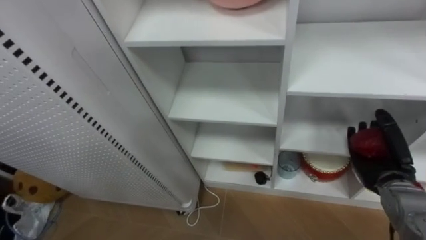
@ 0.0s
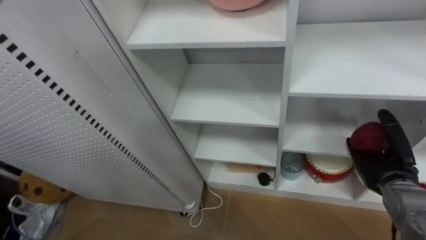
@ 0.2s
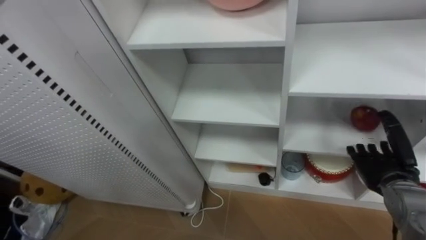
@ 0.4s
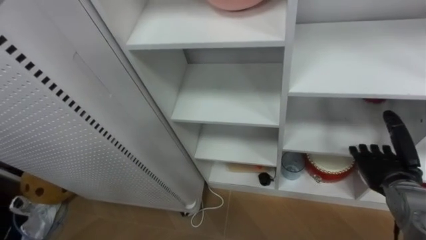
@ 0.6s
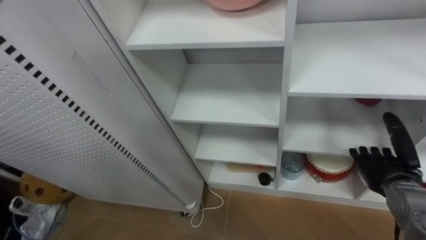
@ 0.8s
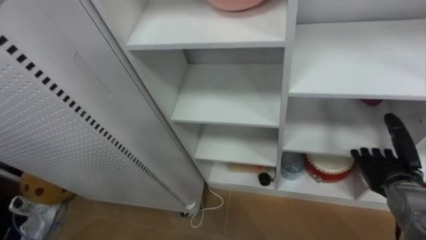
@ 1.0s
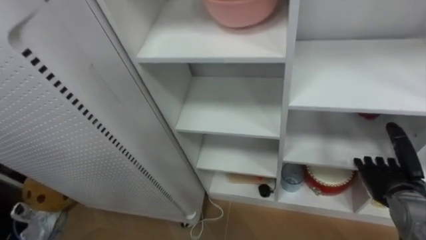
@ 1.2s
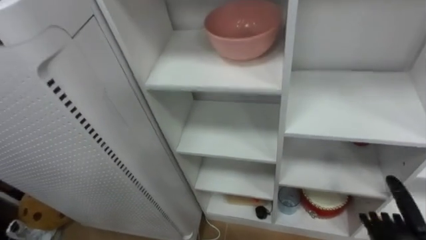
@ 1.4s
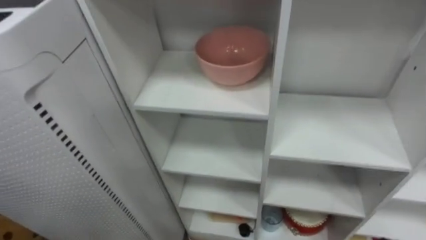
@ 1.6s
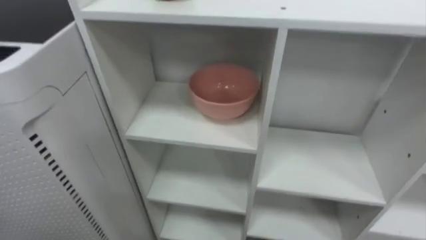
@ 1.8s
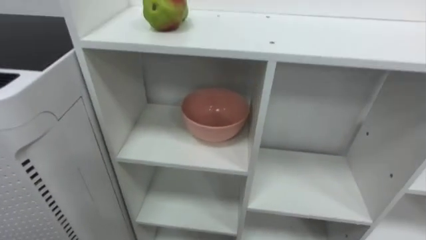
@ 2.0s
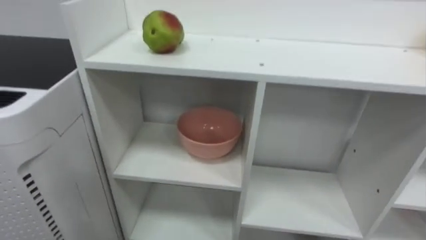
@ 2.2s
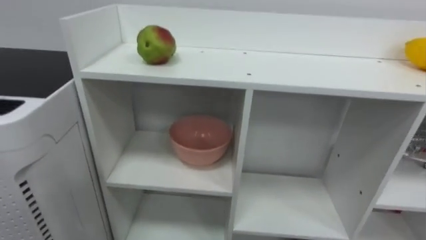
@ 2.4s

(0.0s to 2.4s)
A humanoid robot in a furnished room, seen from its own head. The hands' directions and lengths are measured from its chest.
Task of the whole recording: Put the apple in the cell in the second column from the left and the second row from the top.
0.0s - 1.2s: The right hand opens its fingers.

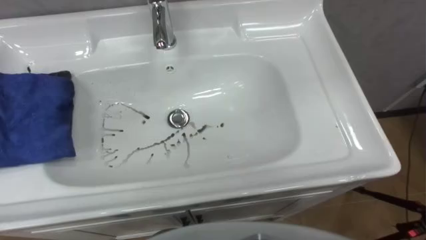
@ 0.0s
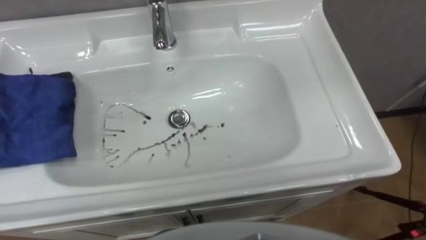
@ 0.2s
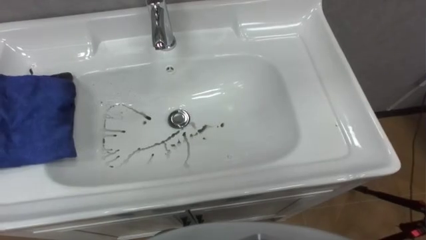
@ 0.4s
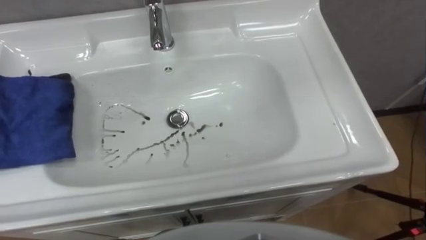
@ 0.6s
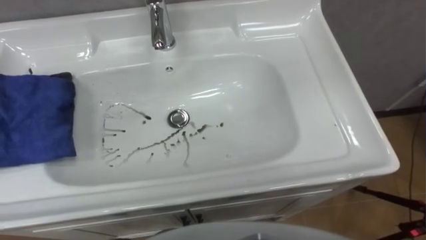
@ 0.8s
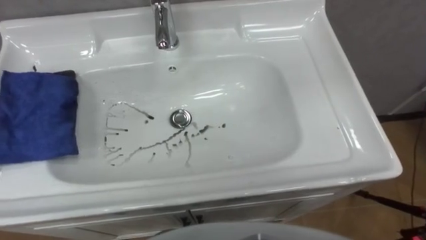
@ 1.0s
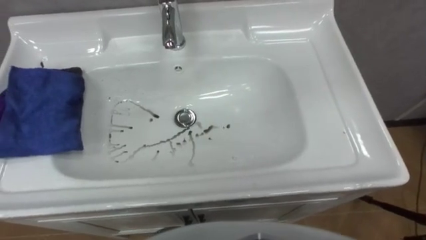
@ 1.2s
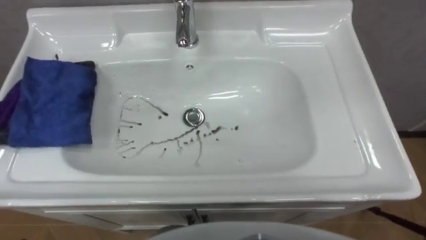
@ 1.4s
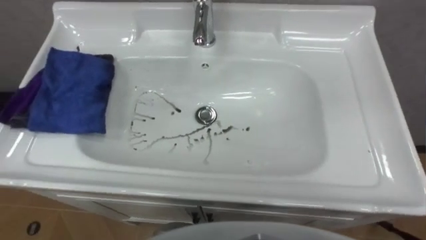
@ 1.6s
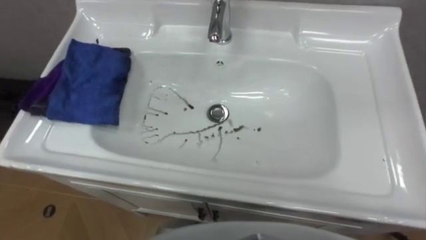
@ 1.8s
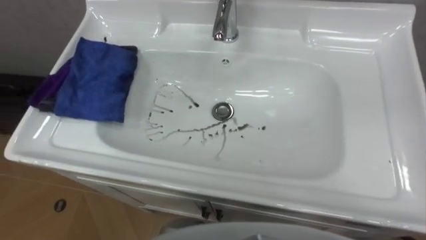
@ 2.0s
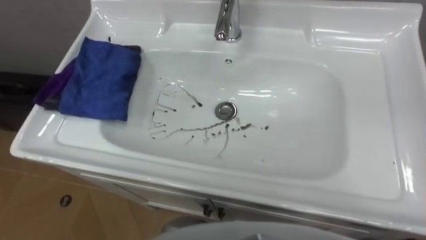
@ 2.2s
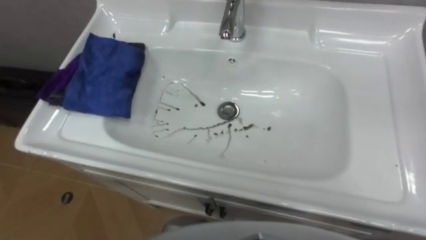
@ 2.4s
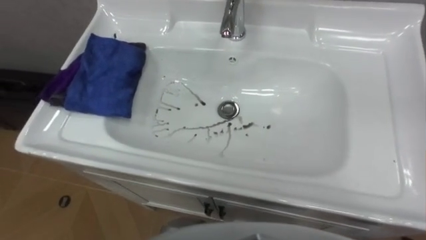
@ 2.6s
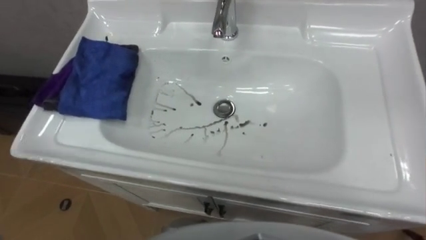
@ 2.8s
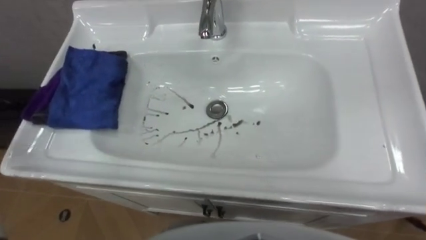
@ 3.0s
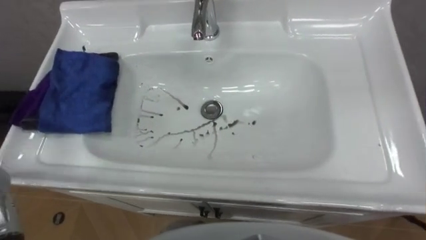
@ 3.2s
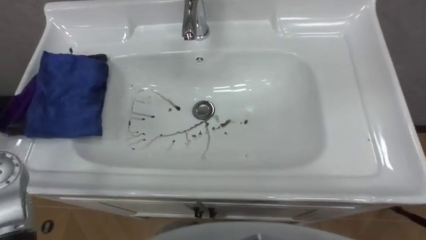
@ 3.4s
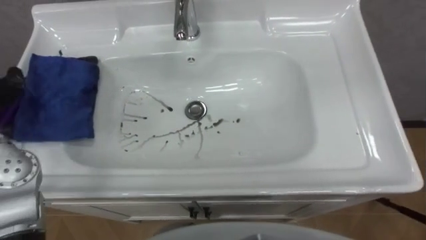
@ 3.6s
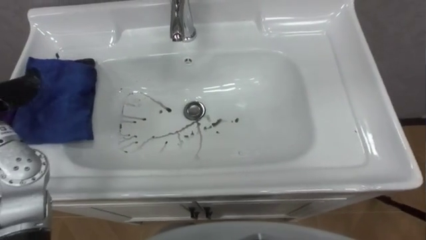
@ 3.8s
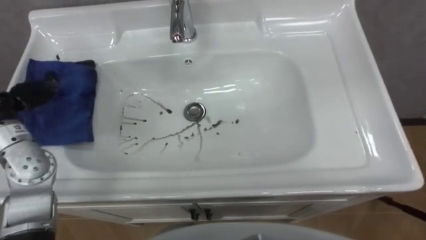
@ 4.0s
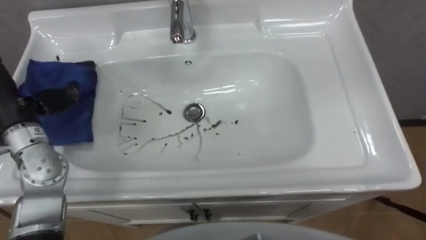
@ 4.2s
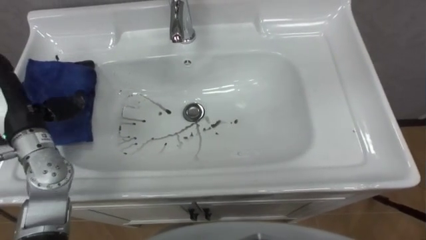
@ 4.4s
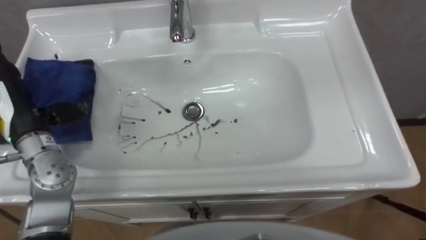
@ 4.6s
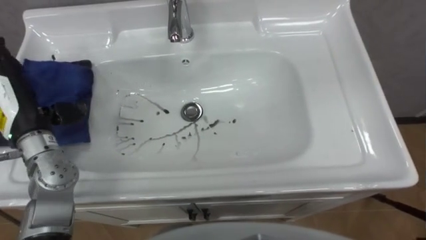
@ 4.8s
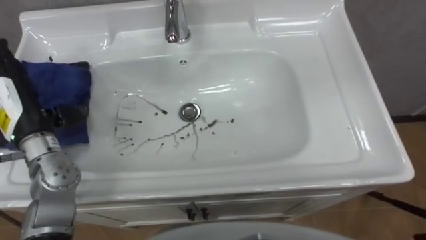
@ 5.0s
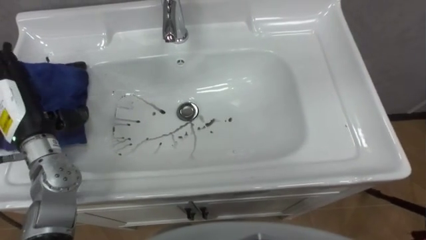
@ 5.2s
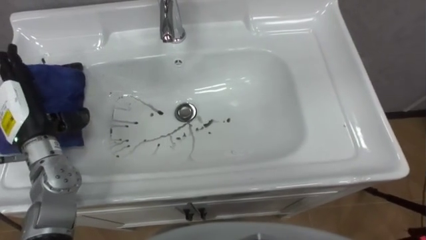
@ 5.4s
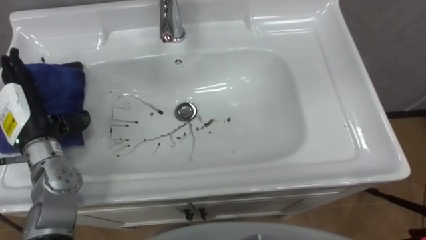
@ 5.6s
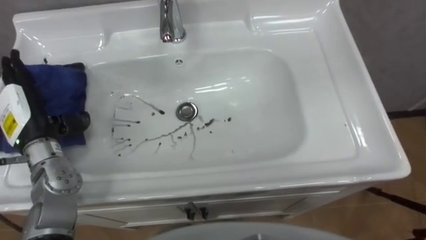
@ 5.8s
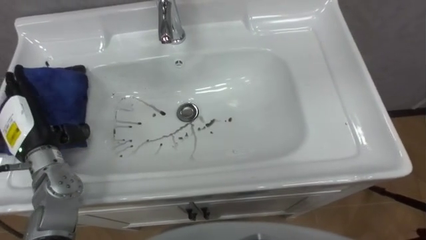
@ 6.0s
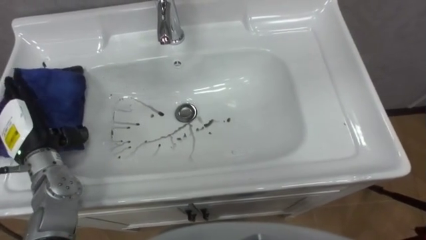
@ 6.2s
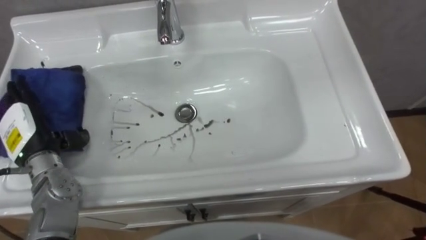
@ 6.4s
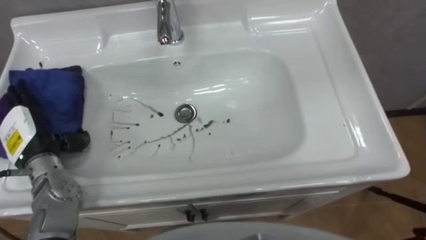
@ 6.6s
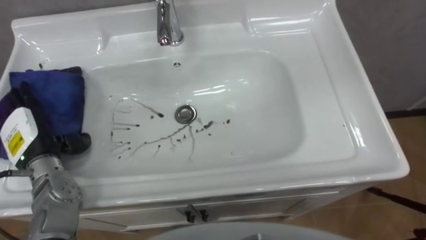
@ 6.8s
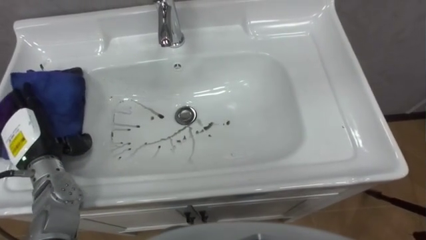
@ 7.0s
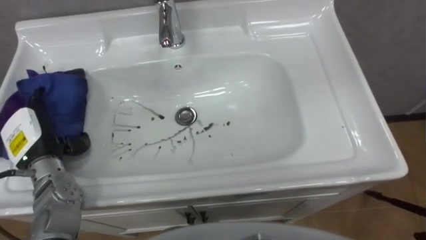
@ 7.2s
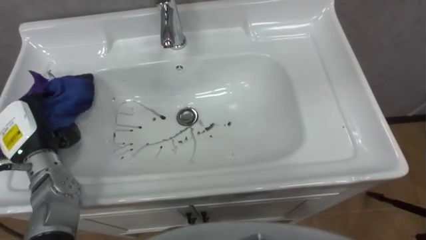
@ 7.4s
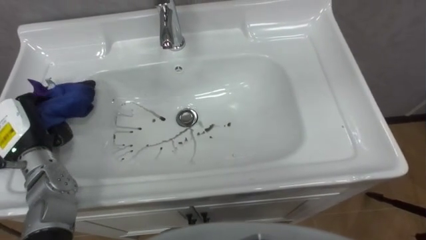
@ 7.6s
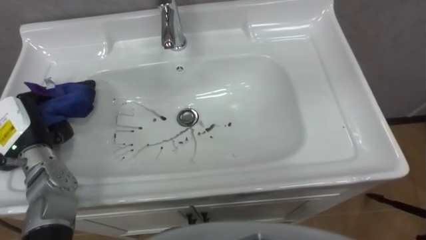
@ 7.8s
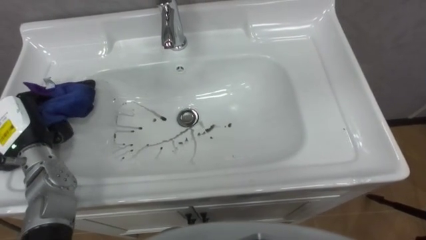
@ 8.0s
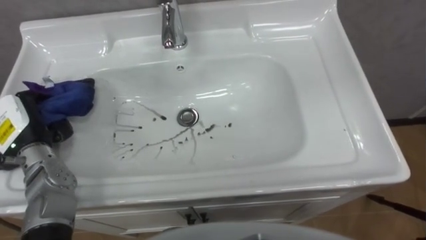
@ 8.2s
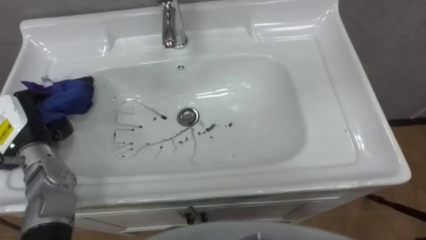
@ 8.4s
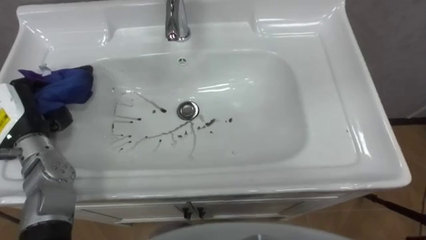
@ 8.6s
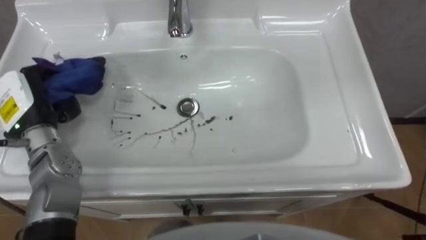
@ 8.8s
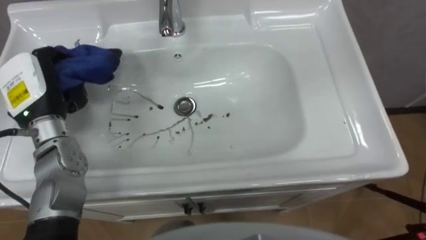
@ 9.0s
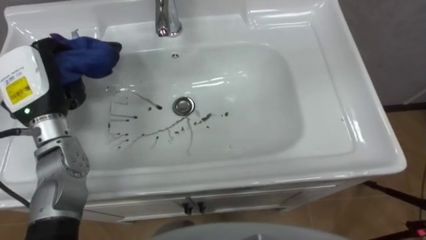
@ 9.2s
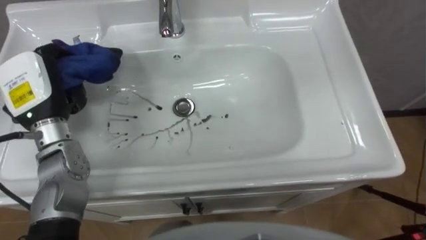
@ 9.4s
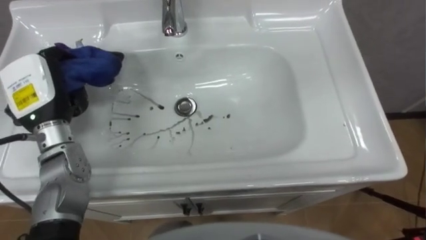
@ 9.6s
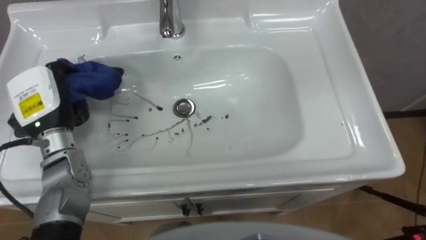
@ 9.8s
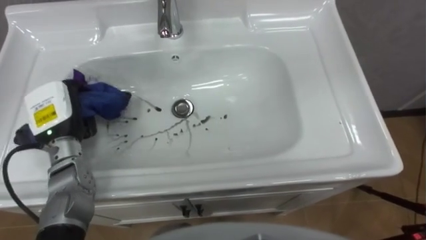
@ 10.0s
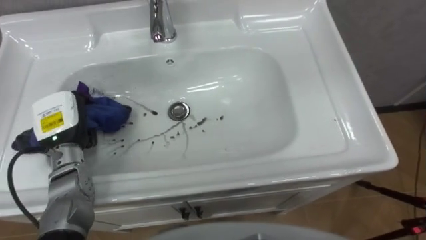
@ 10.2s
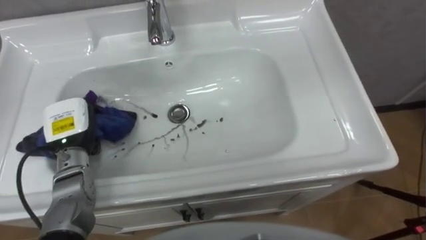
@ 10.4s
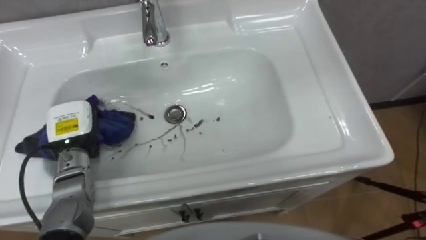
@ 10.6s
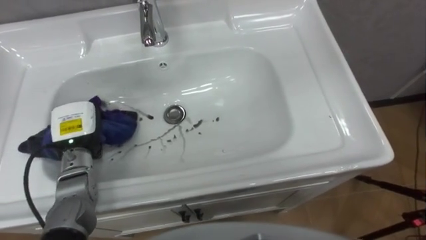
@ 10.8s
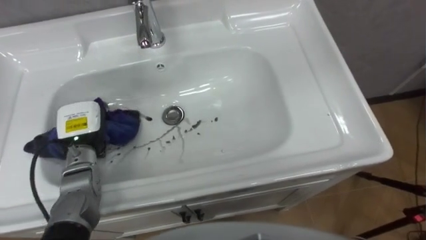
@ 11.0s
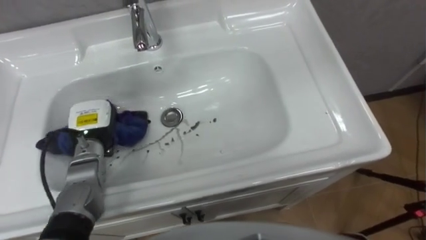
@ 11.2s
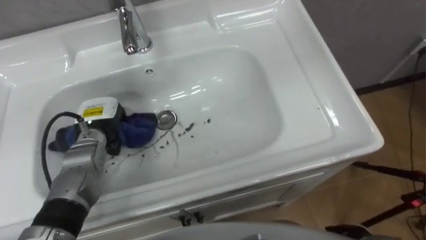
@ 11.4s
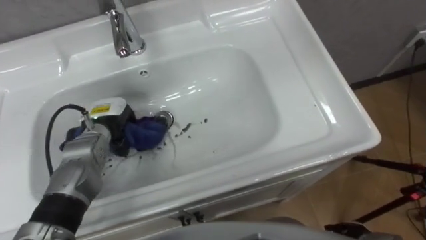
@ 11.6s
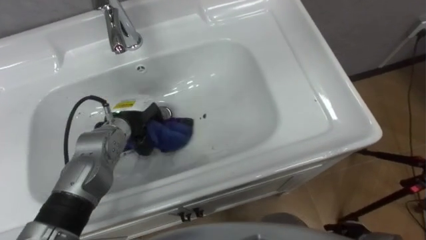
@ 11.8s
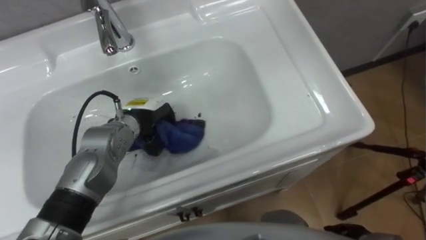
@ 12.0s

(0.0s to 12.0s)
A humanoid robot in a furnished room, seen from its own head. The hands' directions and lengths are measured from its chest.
Task of the whole recording: Use the cloth on the right to wipe away the black stain in the sink.
6.0s - 7.6s: The left hand closes its fingers.
7.6s - 9.0s: The left hand goes some 5 cm upward.
9.0s - 10.4s: The left hand heads downward, covering approximately 10 cm.
10.4s - 12.0s: The left hand moves to the right, some 15 cm.

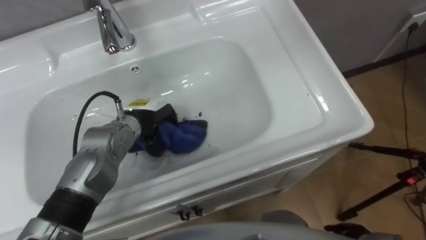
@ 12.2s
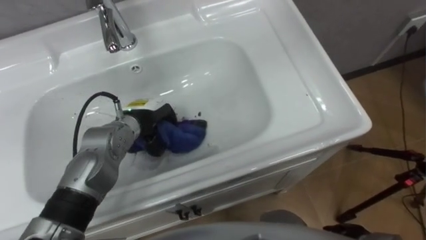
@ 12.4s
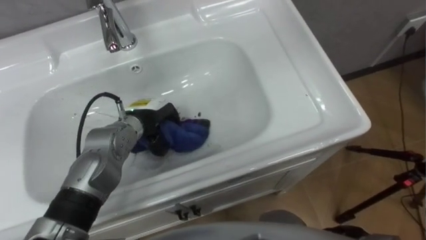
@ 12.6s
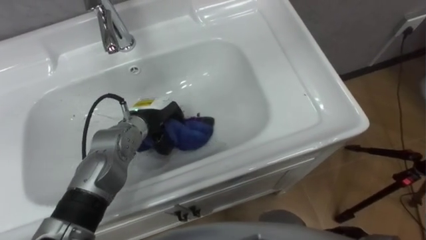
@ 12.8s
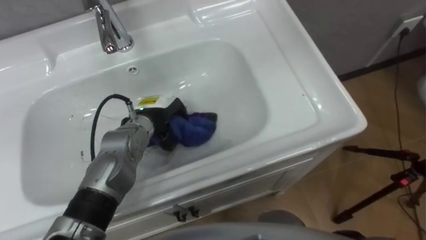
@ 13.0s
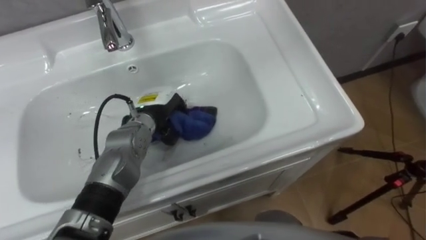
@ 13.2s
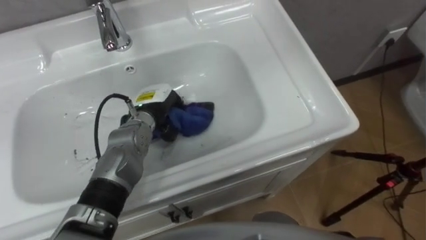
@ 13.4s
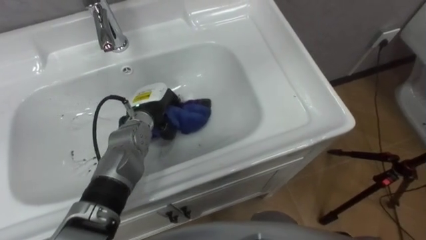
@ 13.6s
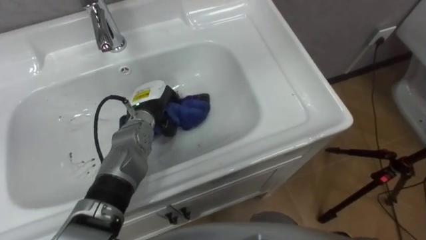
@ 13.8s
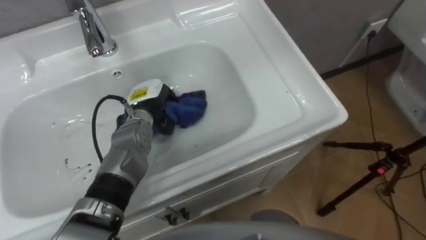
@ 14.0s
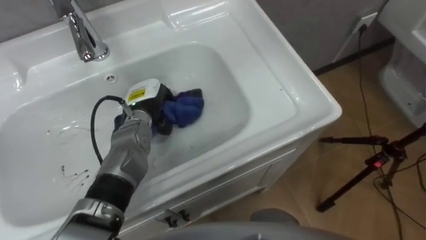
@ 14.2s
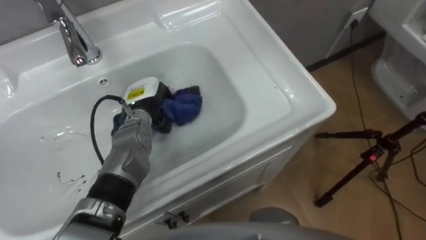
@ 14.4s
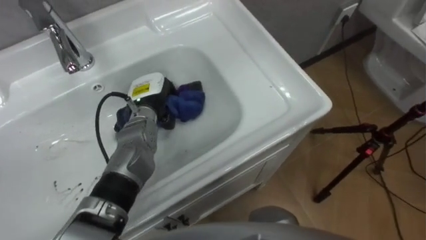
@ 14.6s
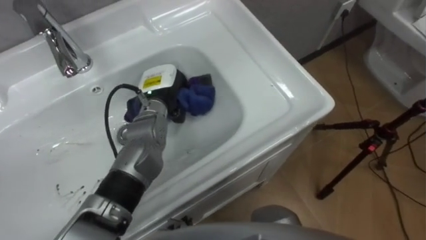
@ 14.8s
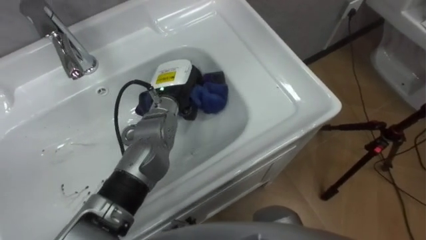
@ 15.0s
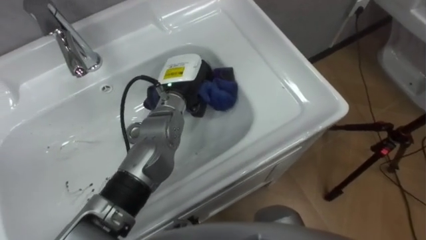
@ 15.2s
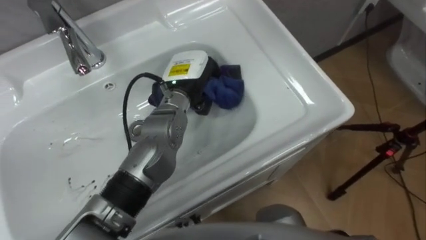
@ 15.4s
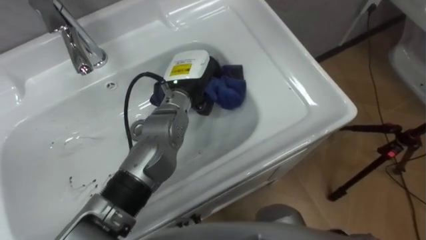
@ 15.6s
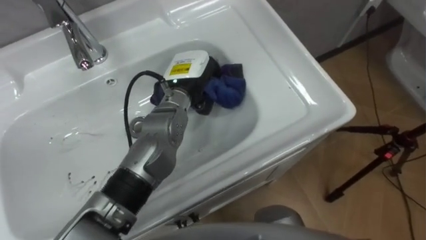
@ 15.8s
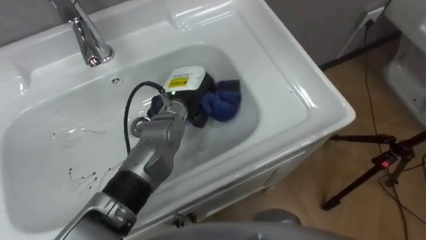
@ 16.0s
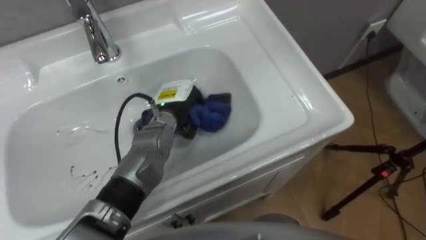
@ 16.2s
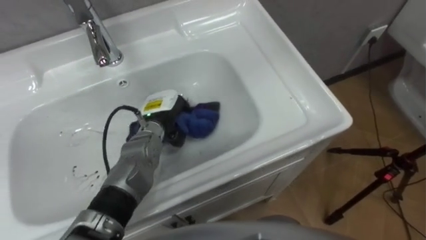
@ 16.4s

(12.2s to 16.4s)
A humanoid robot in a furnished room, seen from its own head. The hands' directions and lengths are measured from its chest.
Task of the whole recording: Use the cloth on the right to wipe away the black stain in the sink.
13.6s - 15.0s: The left hand goes some 10 cm to the right and upward.
15.0s - 16.4s: The left hand shifts approximately 5 cm downward.
